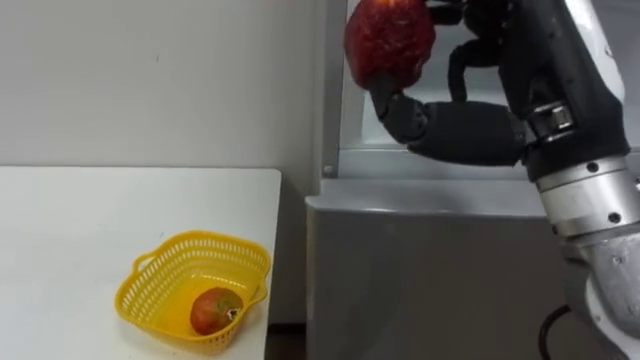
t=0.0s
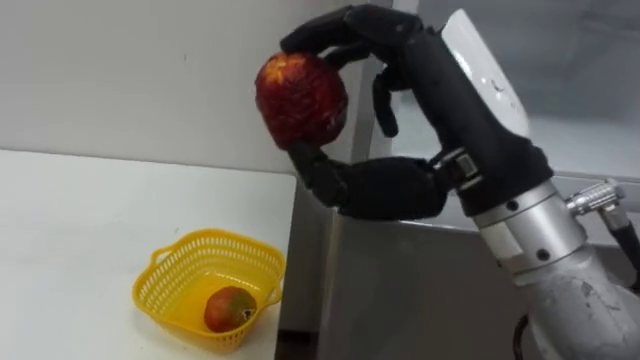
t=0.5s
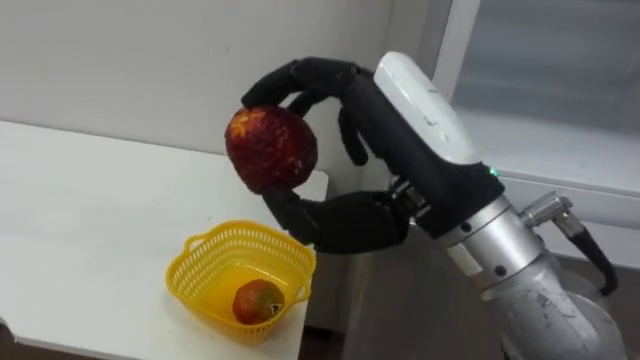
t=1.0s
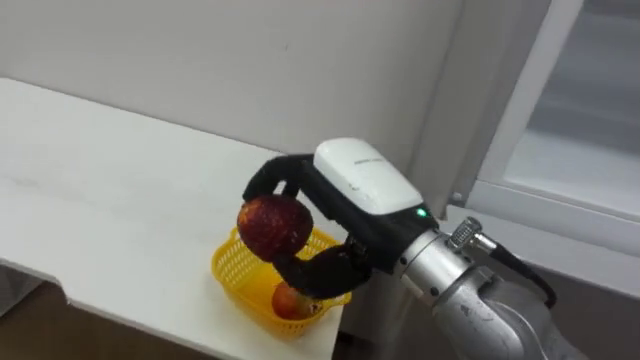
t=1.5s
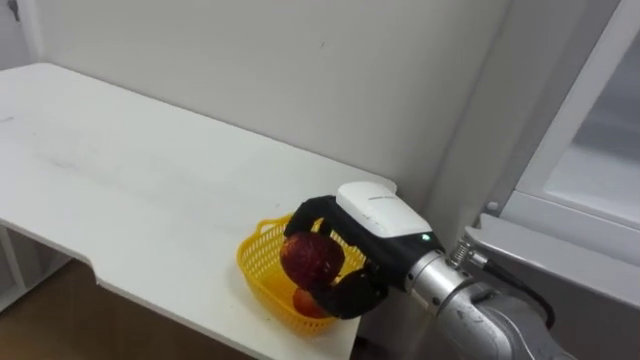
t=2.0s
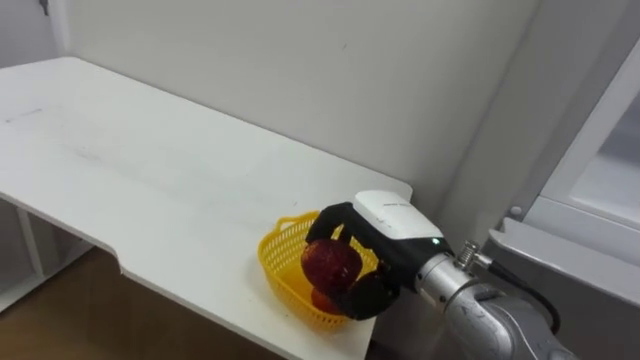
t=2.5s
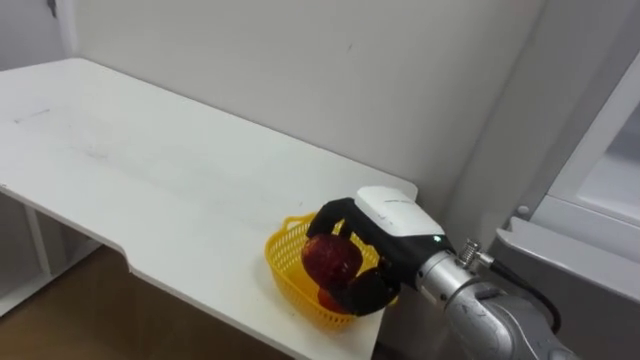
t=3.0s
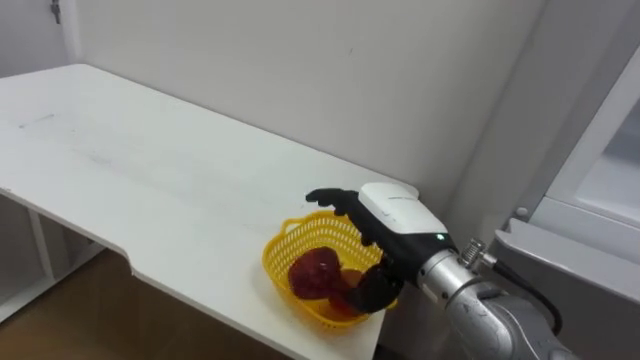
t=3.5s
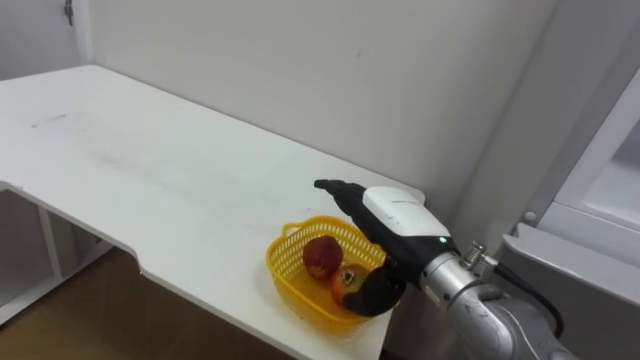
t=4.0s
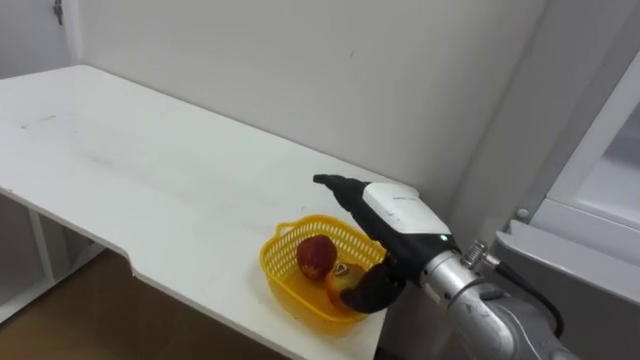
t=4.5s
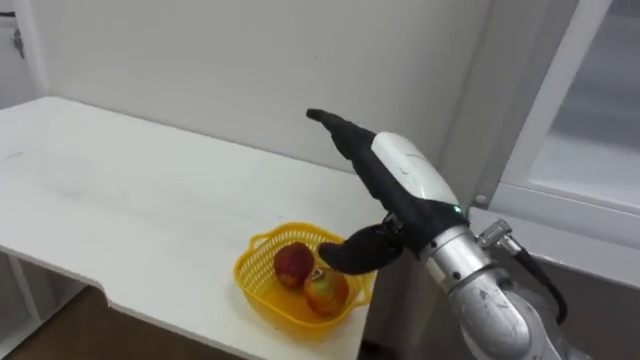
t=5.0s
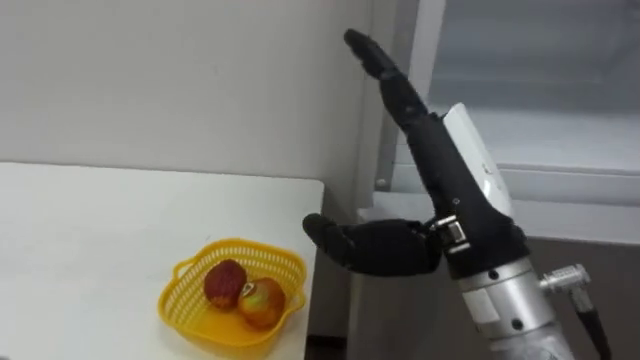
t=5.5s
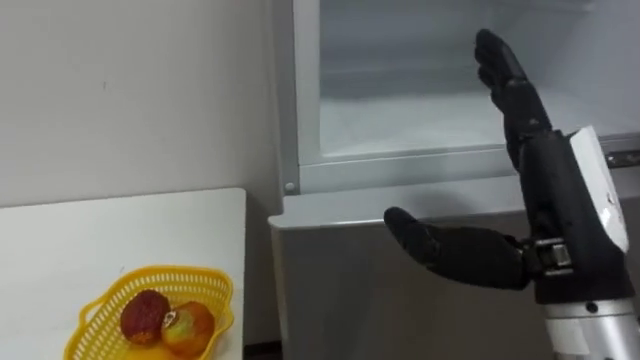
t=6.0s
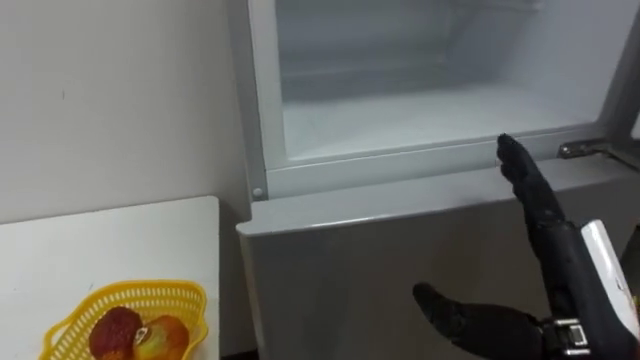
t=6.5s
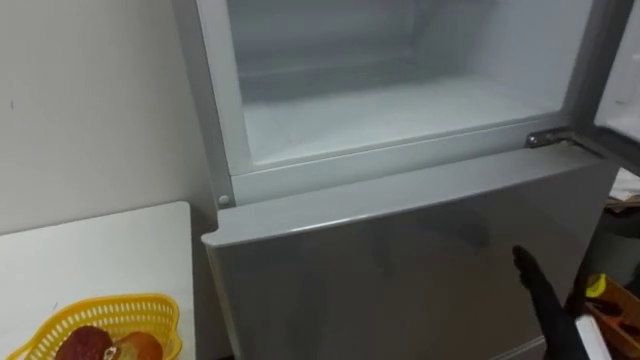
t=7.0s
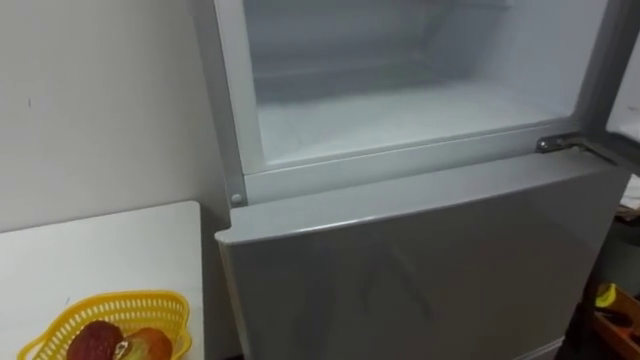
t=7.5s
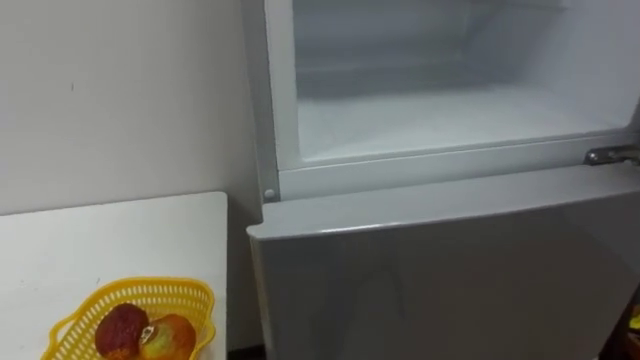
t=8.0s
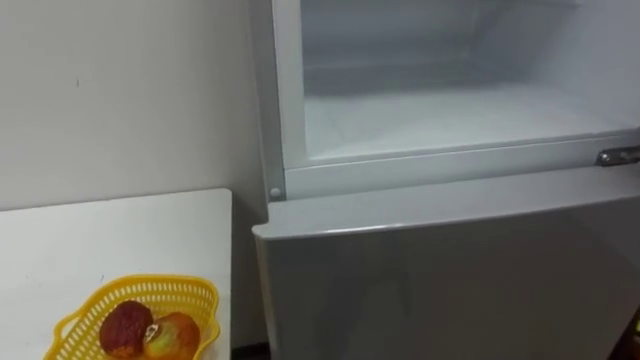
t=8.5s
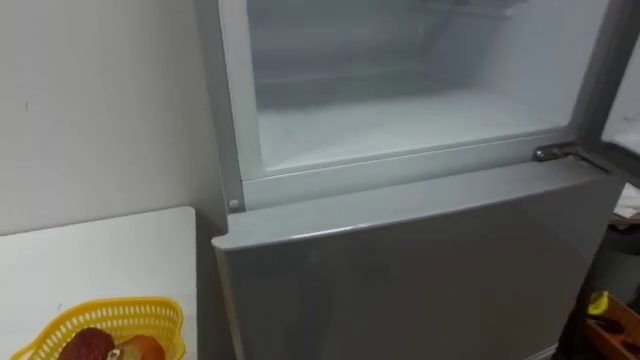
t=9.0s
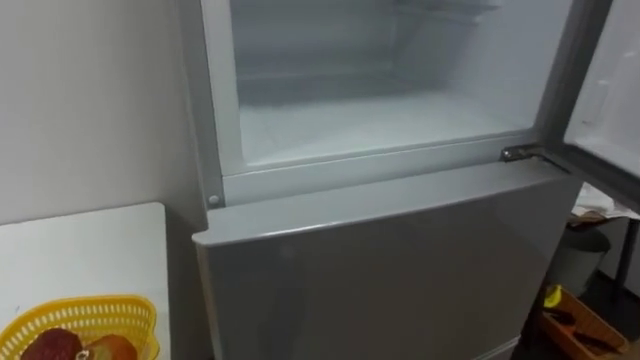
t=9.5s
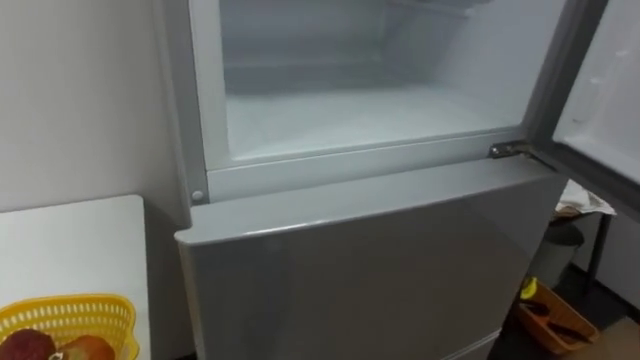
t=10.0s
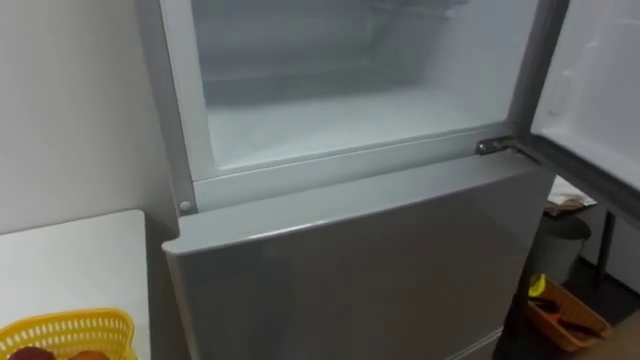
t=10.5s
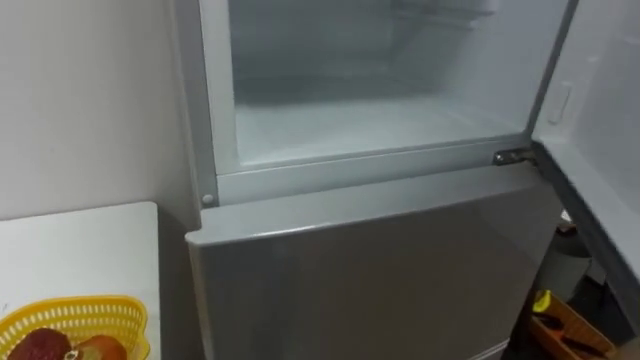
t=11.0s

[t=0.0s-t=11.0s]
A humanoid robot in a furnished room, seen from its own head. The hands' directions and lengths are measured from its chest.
Task of the whole recording: Open the refrigerator door, take out the apple and the pomegranate, place them in the fruit basket on the left, and close the refrigerator door.
t=0.0s to t=2.0s: The right hand travels downward and to the left by roughly 20 cm.
t=3.5s to t=5.5s: The right hand shifts roughly 15 cm upward and backward.

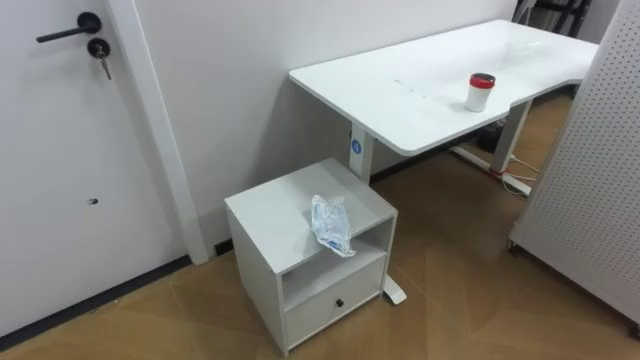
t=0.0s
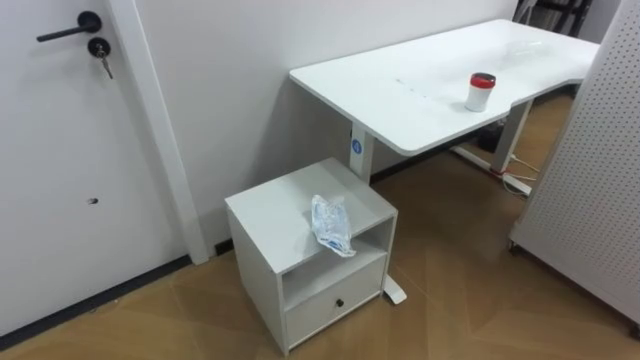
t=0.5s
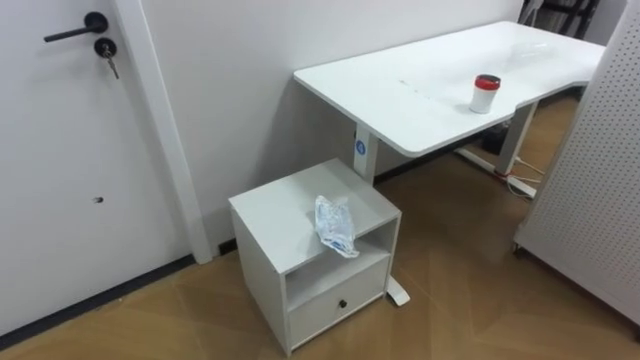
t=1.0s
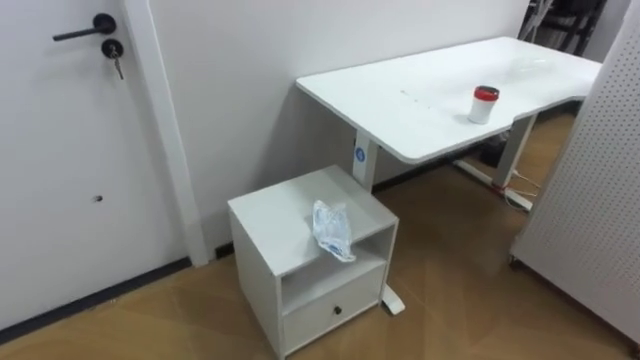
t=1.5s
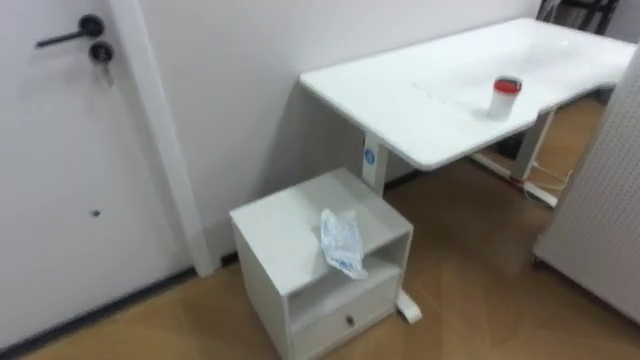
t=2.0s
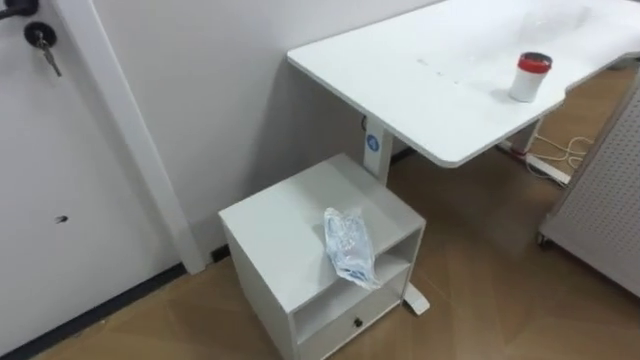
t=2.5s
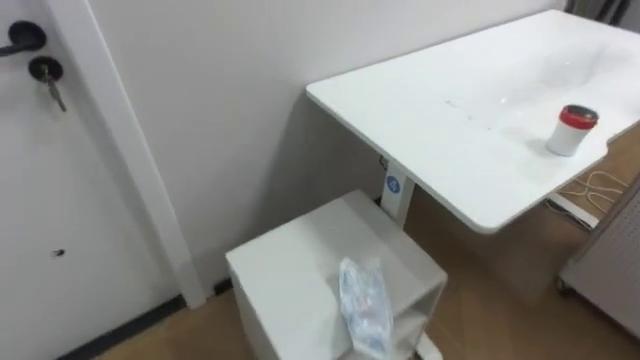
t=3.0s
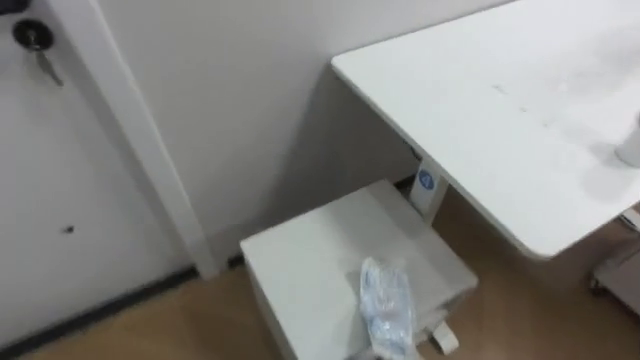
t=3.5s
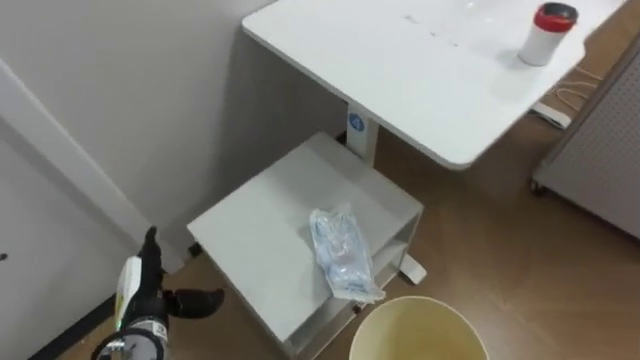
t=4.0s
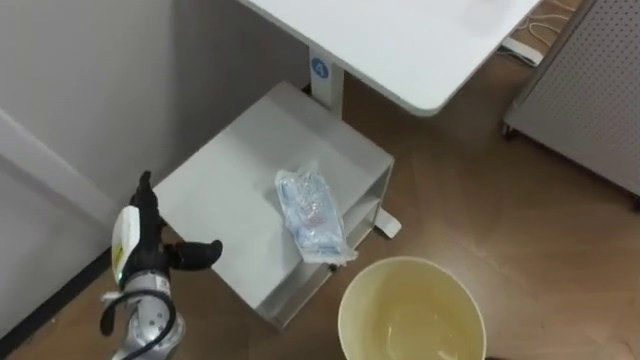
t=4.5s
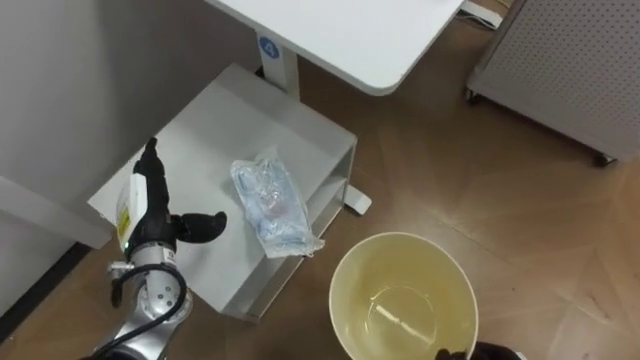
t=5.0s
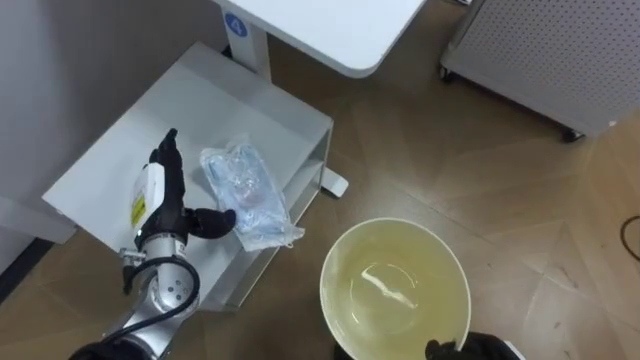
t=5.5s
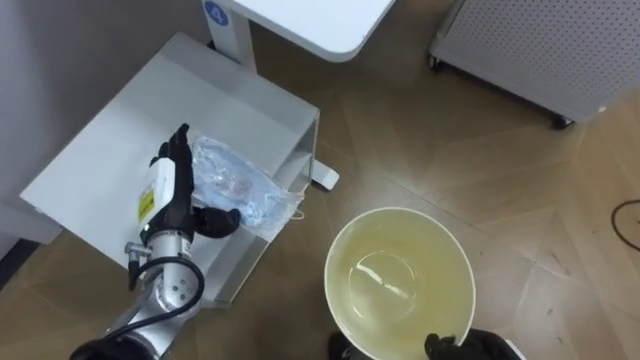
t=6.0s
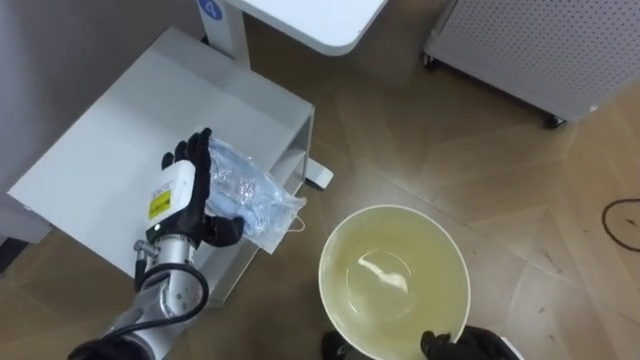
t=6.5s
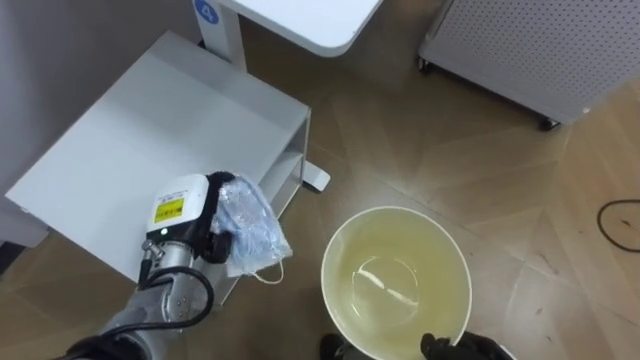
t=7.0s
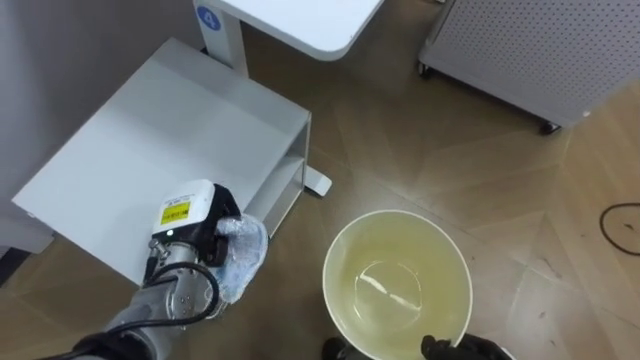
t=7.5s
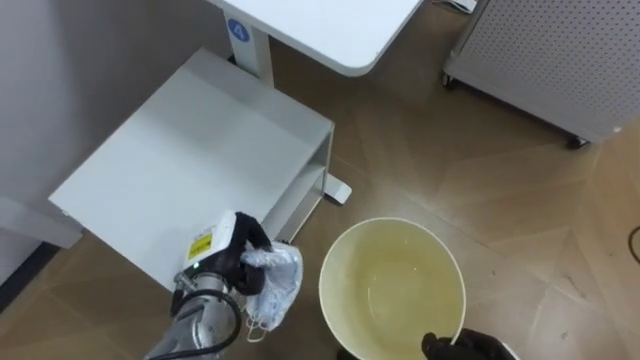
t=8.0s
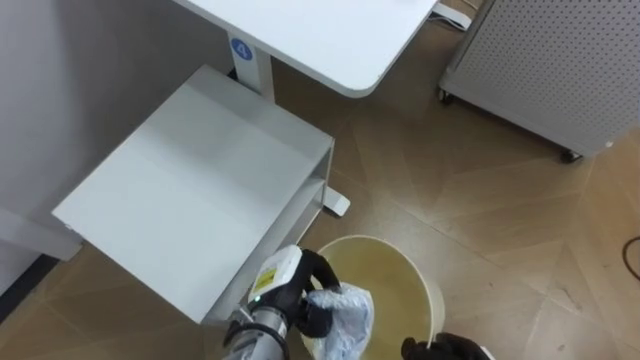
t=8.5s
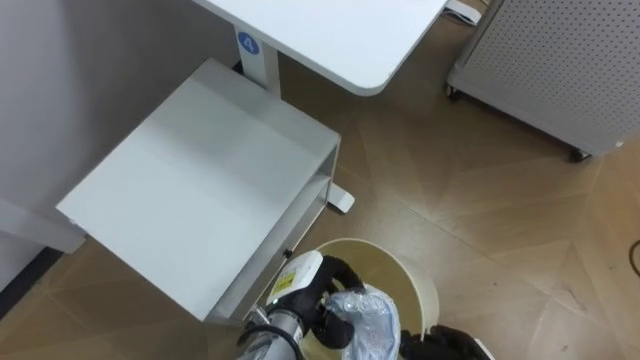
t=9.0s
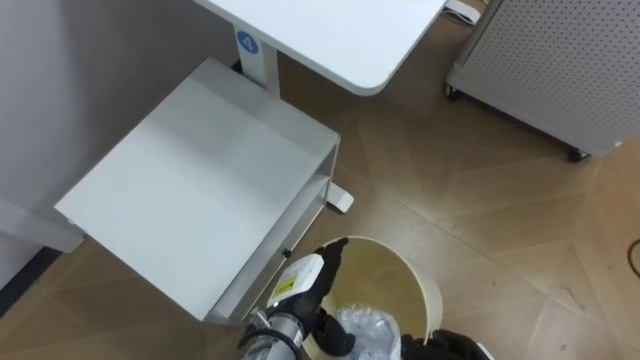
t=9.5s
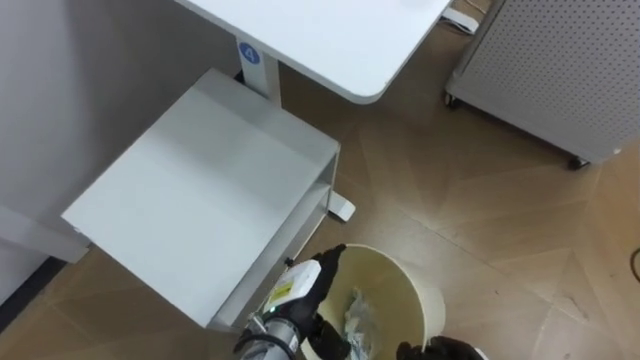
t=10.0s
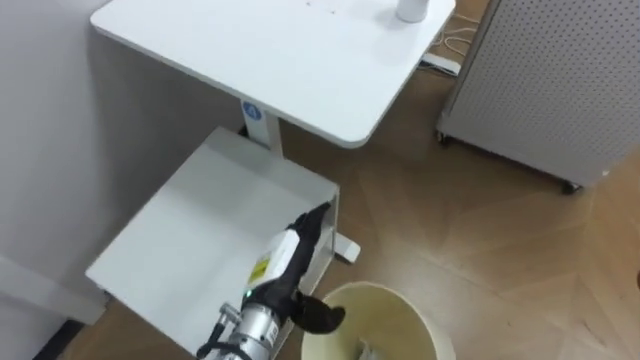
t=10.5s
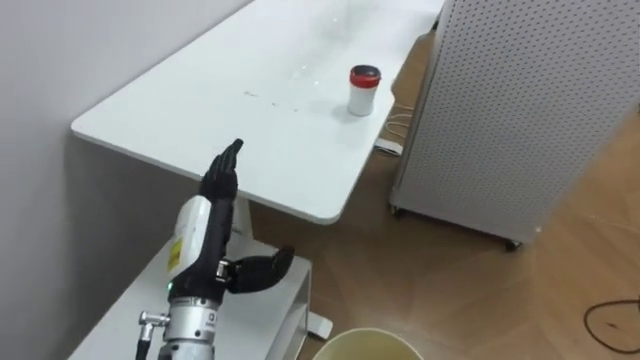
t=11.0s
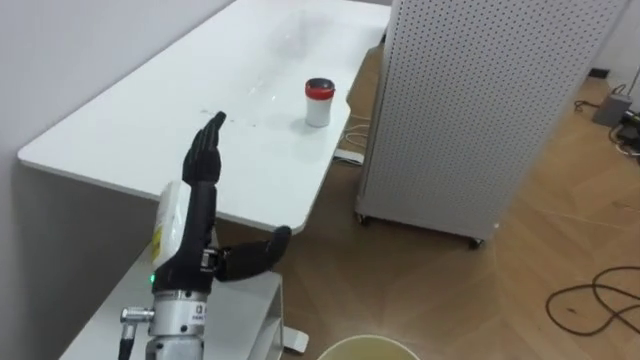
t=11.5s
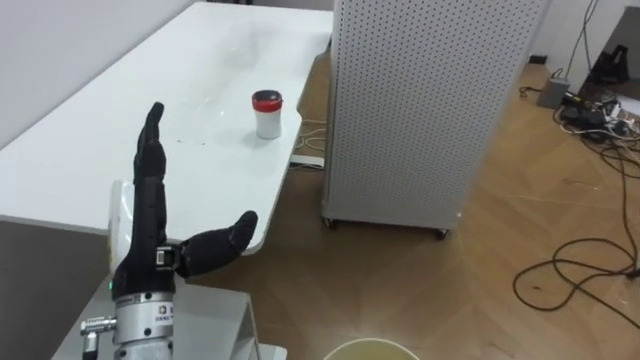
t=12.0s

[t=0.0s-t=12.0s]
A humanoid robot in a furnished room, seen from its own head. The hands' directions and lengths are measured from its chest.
Task of the whole recording: Pick up the light blue package, the candy box, and the dark blue package separately, and put them into the trash can held in your right hand.
t=4.0s to t=6.0s: The left hand moves upward and forward, roughly 15 cm.
t=6.0s to t=8.0s: The left hand heads downward and to the right, covering roughly 10 cm, and closes its fingers.
t=8.0s to t=10.0s: The left hand shifts roughly 15 cm to the right and backward, and opens up.
t=10.0s to t=12.0s: The left hand goes approximately 25 cm upward and to the left.
